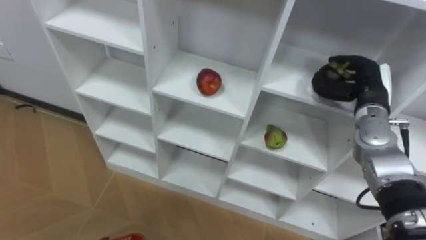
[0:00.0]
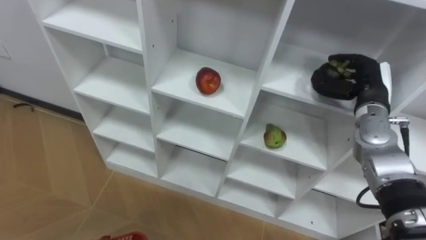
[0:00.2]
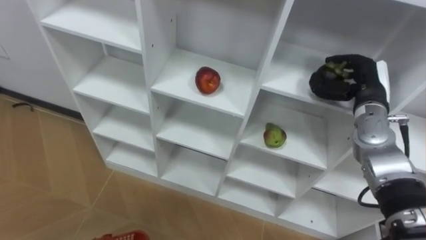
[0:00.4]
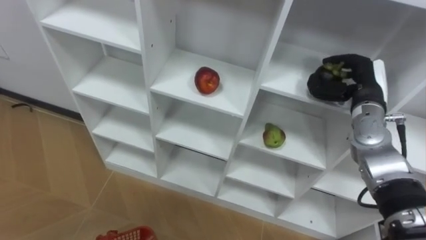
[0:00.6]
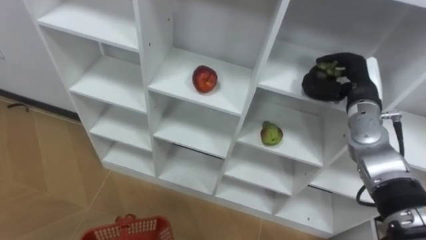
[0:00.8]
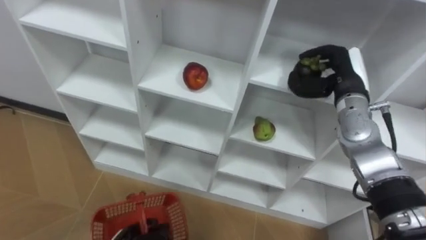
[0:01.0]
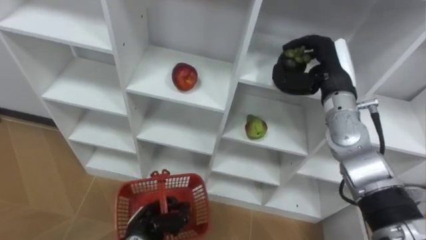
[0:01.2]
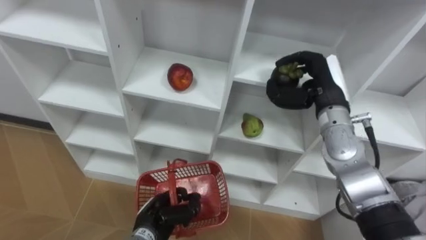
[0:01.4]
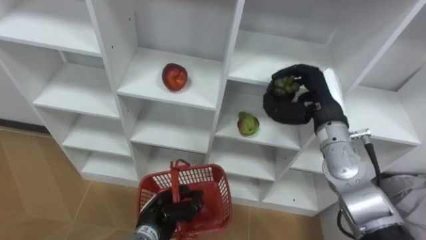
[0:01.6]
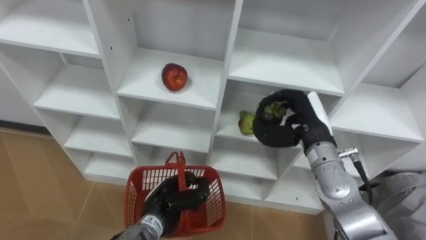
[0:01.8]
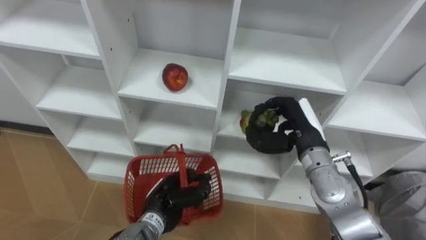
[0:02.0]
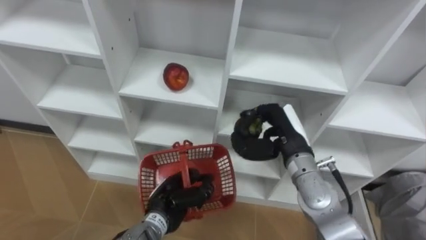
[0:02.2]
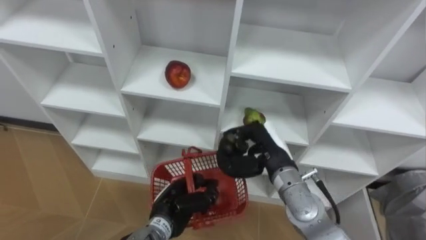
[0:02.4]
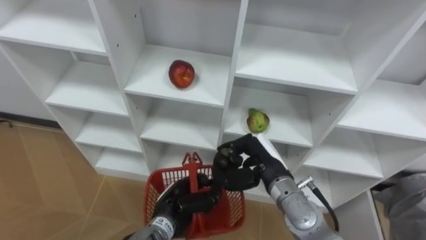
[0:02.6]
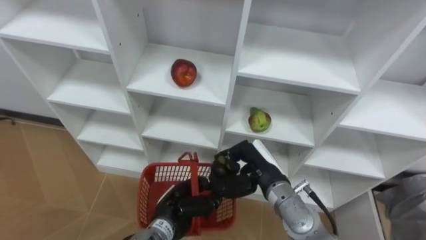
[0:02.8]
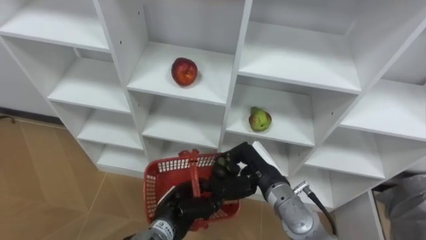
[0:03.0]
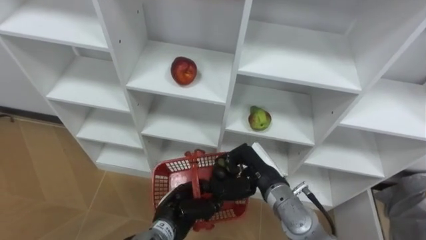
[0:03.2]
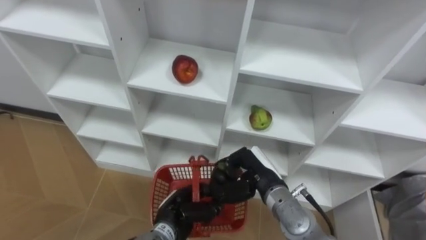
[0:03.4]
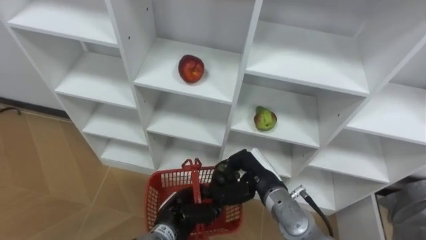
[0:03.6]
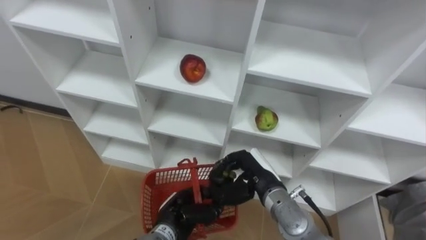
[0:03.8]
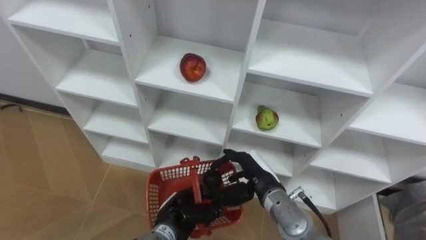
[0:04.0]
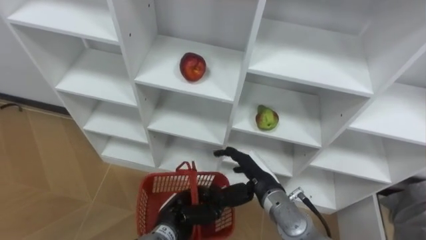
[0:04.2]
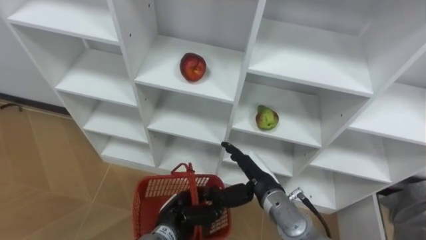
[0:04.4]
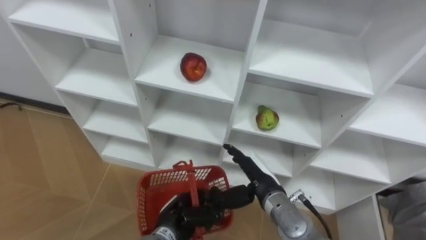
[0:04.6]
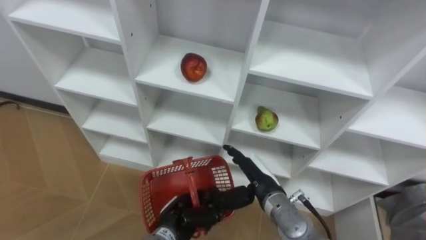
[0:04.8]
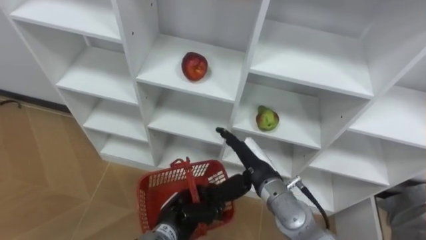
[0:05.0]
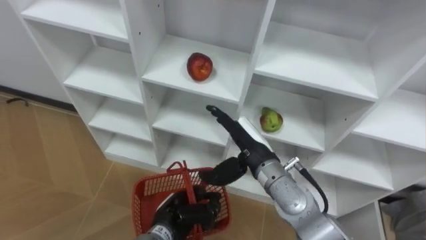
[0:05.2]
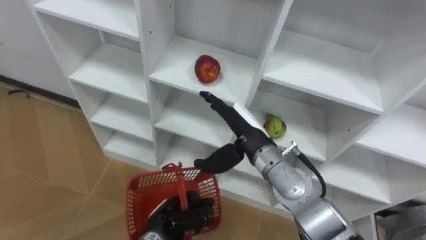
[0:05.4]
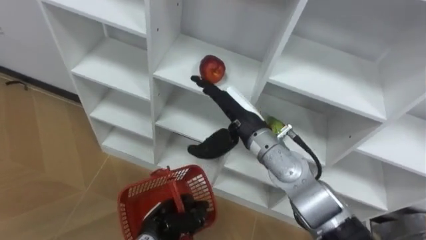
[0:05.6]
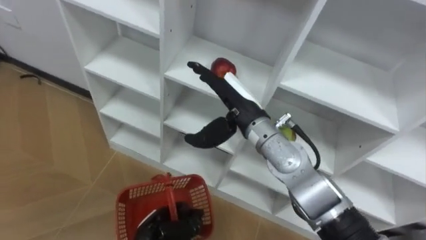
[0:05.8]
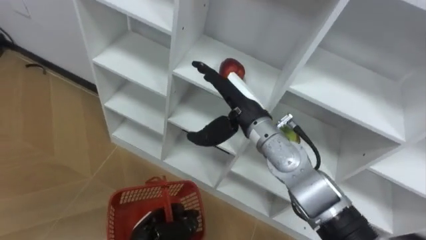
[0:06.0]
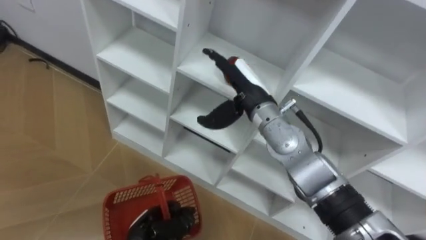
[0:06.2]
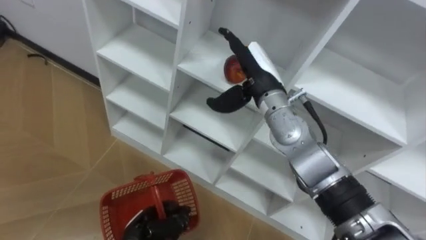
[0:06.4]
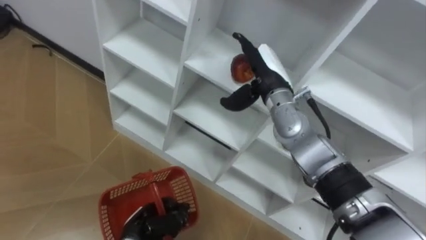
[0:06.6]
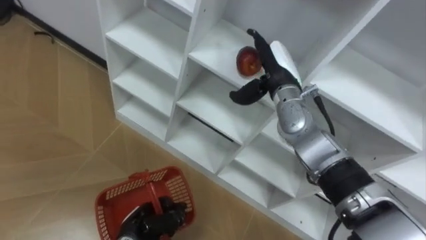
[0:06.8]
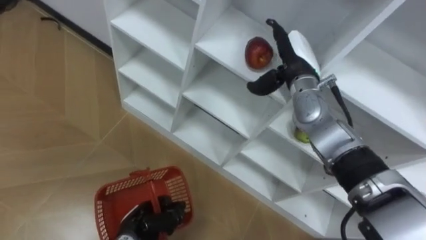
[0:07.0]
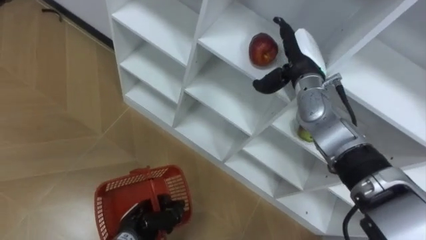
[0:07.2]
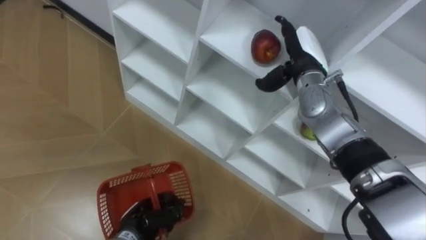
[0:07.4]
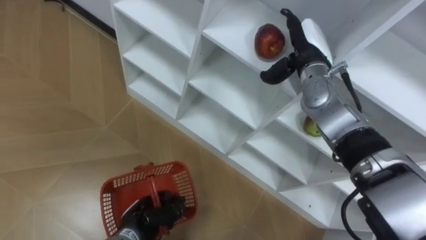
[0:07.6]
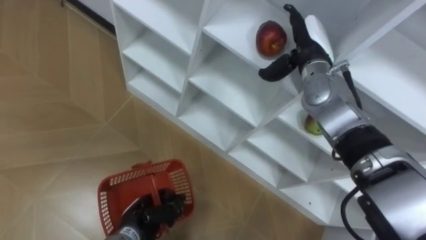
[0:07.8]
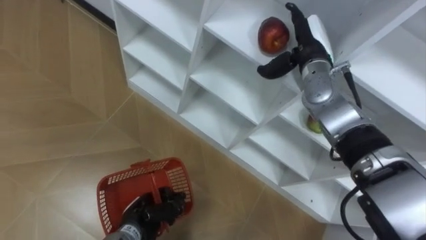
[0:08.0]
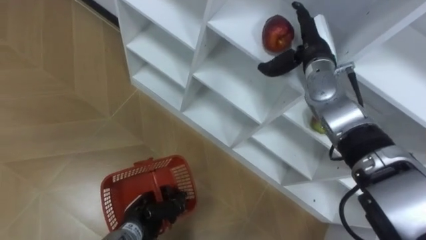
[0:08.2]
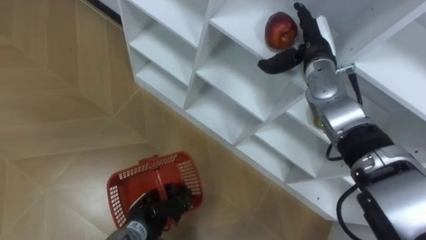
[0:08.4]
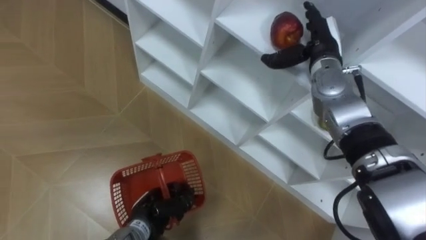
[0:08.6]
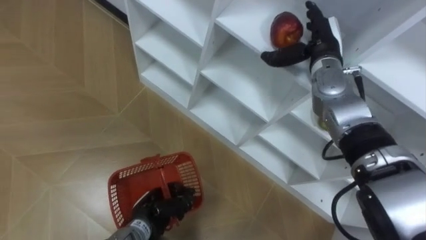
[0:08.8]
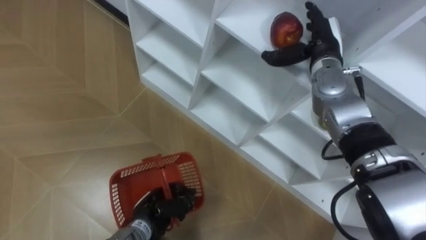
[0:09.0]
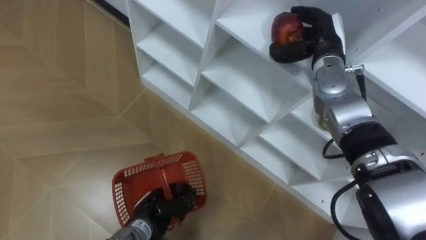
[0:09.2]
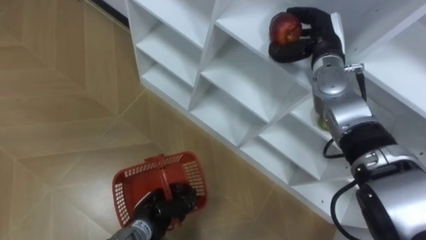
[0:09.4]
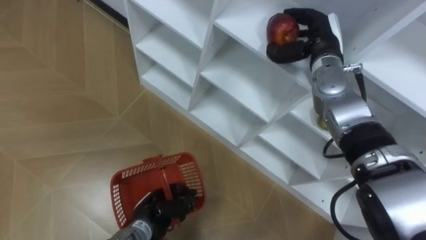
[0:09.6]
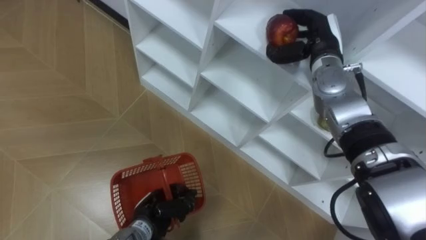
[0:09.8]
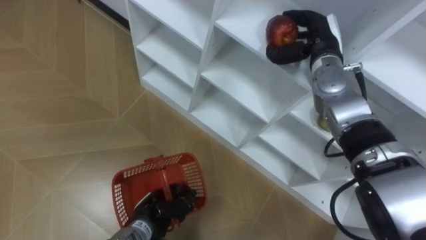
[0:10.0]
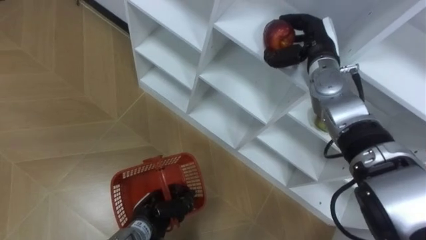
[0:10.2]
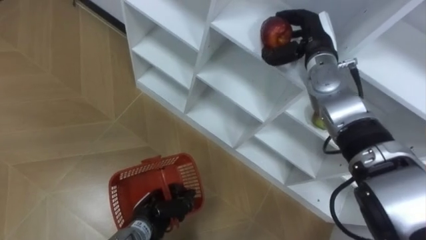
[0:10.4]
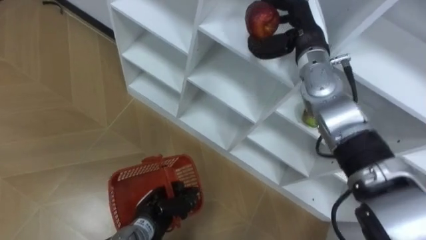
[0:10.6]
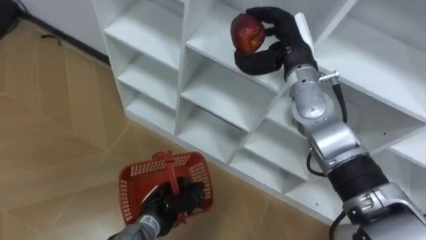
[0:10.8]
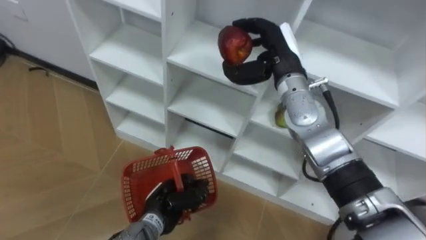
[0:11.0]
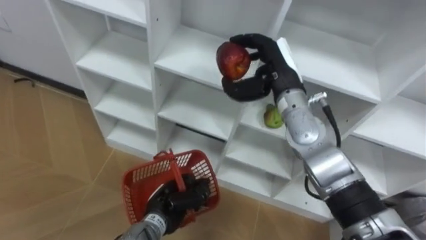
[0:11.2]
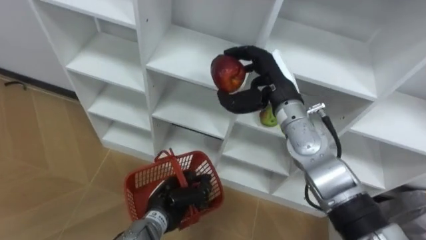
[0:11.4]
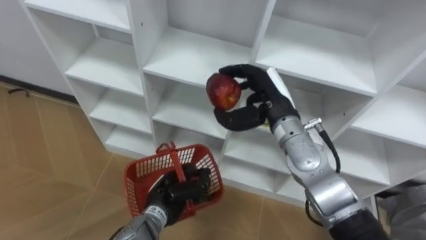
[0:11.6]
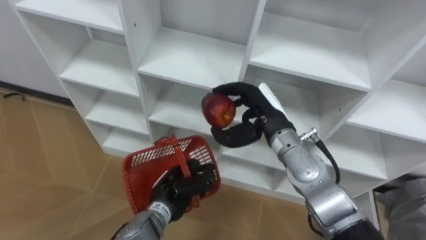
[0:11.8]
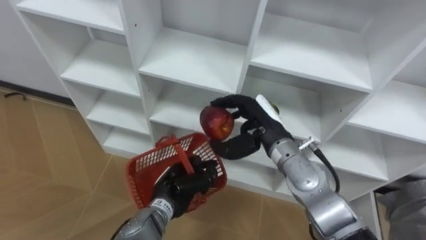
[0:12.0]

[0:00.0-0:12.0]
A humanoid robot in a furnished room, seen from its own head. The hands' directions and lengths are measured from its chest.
Task of the whole recording: Hold the basket and collect the fruits from 3 different cells of the closet into it.
0:00.0 to 0:01.6: The right hand moves to the left, some 10 cm.
0:01.6 to 0:03.0: The right hand heads downward, to the left and backward, covering roughly 15 cm.
0:03.0 to 0:04.4: The right hand opens.
0:04.4 to 0:06.0: The left hand ends up roughly 5 cm from where it was. The right hand shifts approximately 15 cm upward and forward.
0:06.0 to 0:07.6: The right hand travels to the right and forward by some 15 cm.
0:09.0 to 0:10.4: The right hand closes its fingers.
0:10.4 to 0:12.0: The right hand heads backward, downward and to the left, covering approximately 15 cm. The left hand goes some 5 cm upward.

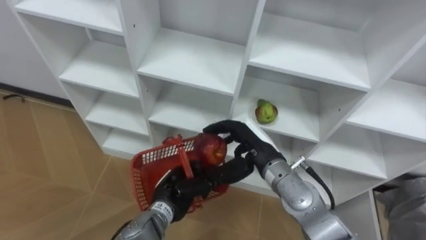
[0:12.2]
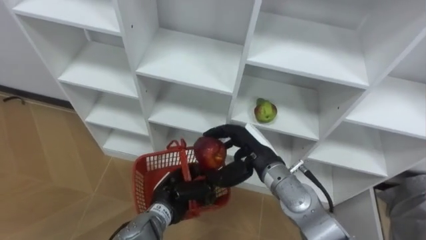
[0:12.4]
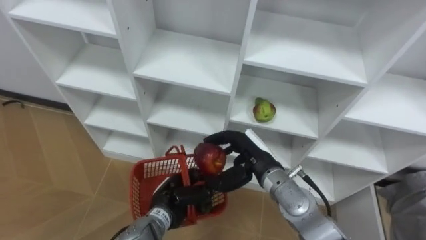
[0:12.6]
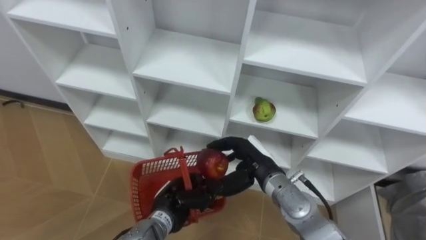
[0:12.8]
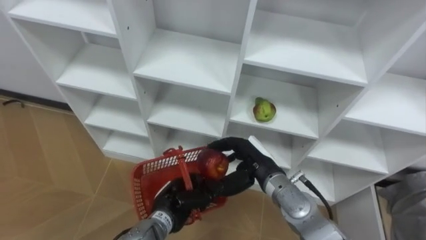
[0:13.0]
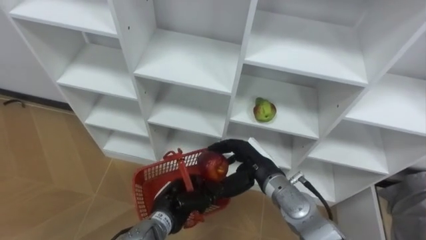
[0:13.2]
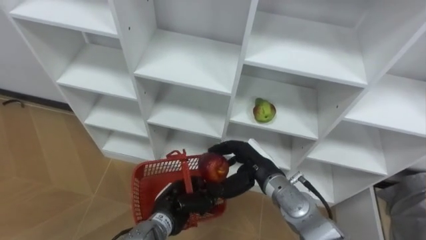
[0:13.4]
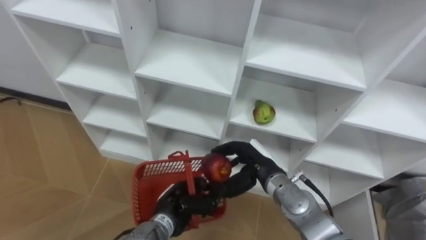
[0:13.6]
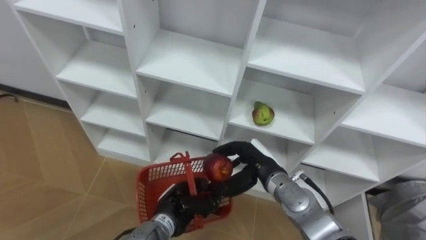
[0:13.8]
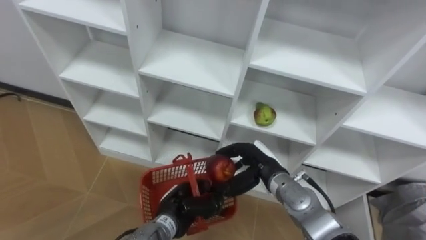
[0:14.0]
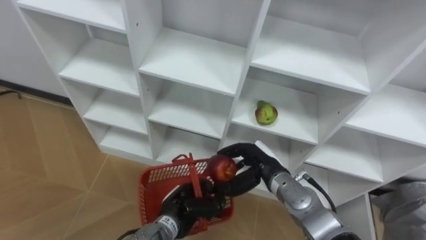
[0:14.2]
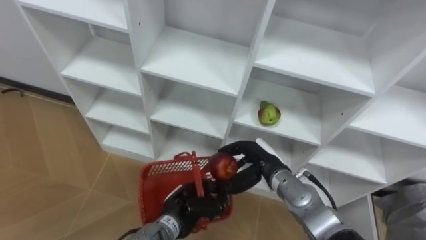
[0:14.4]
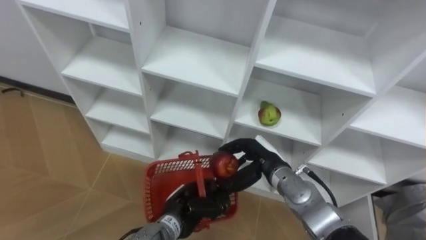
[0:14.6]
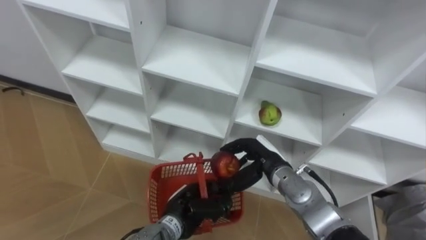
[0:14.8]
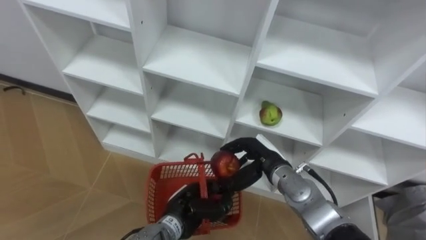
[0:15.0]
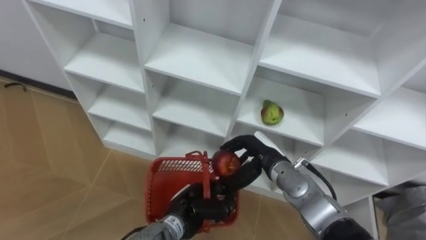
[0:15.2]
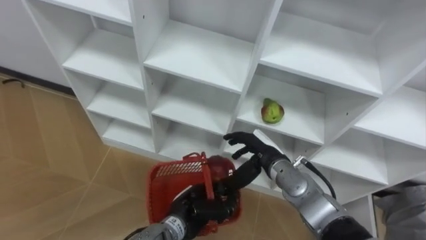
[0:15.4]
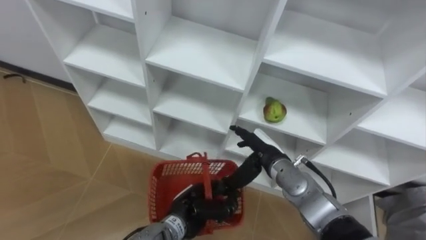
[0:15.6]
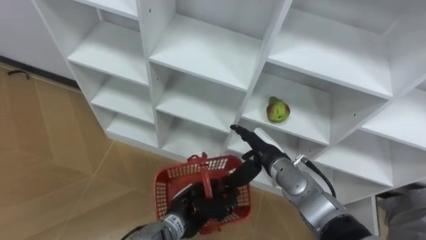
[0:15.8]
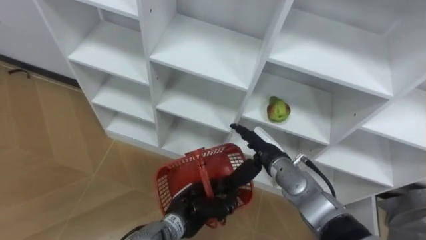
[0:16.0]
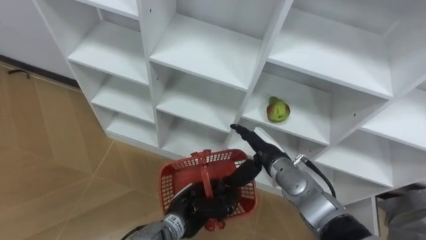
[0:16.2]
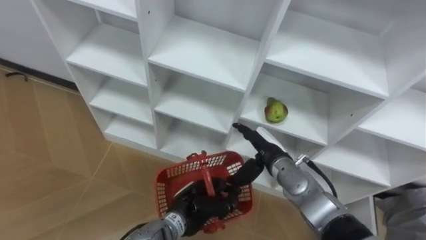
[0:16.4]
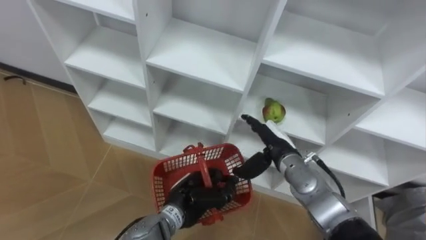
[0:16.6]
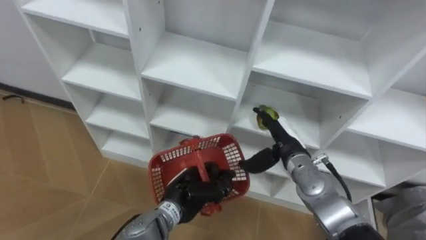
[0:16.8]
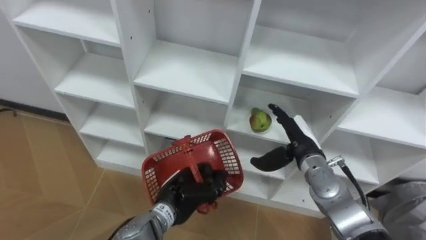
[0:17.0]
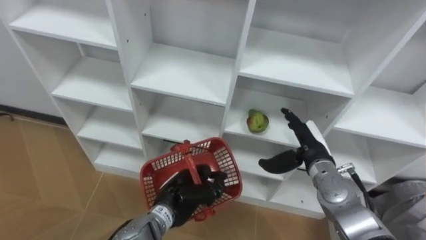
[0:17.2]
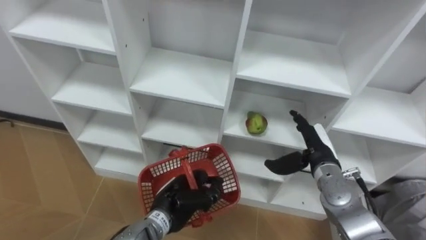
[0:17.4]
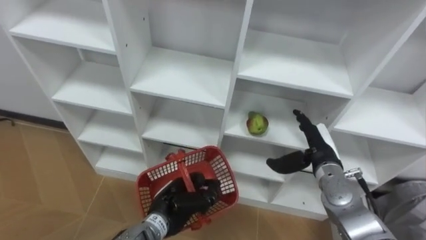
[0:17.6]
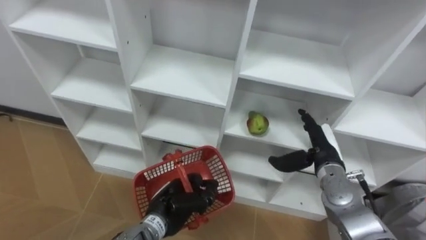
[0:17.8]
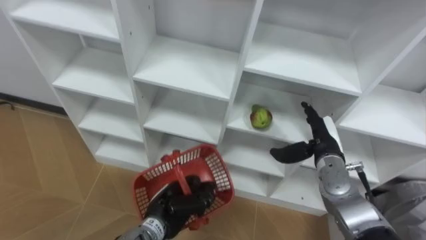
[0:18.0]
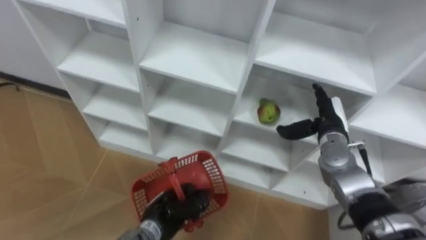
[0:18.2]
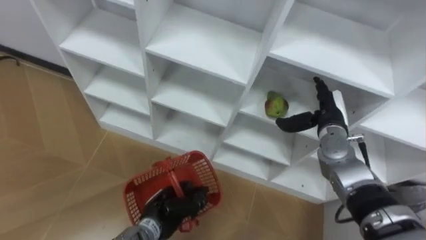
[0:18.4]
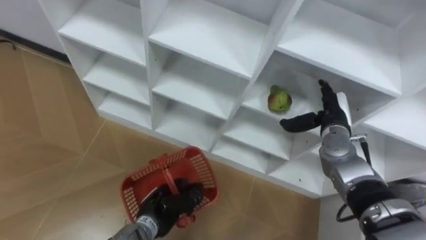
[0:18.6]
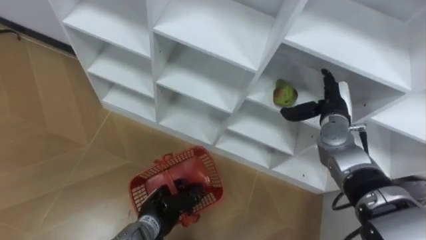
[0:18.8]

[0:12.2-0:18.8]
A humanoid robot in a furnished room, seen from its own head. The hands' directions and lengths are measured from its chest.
Task of the whole recording: Hold the basket and collect the fruits from 3 different cells of the closet into it.
0:12.2 to 0:13.8: The right hand goes some 5 cm downward.
0:15.4 to 0:17.2: The right hand shifts about 10 cm to the right, and opens.
0:17.2 to 0:18.8: The left hand moves downward, some 5 cm. The right hand travels forward by about 5 cm.
